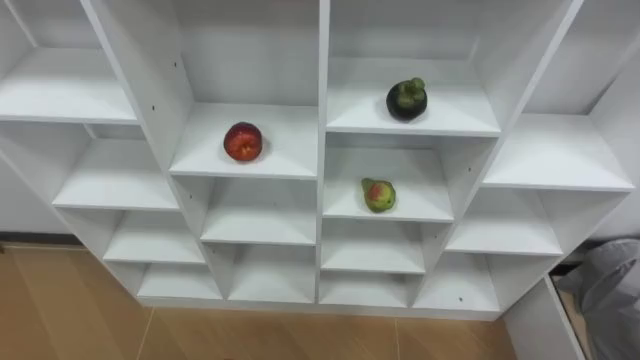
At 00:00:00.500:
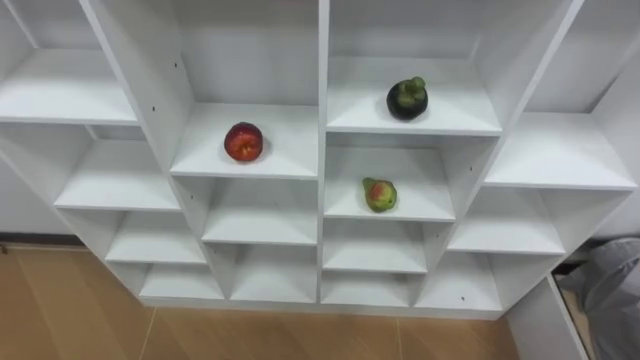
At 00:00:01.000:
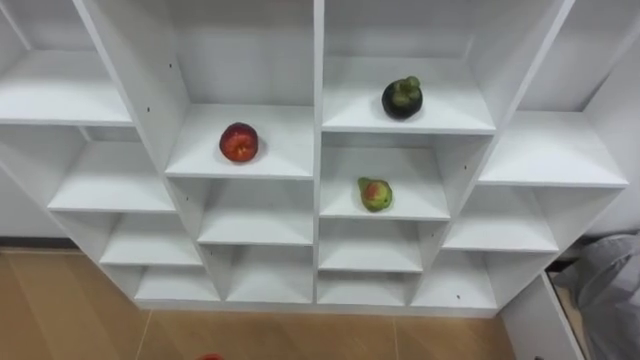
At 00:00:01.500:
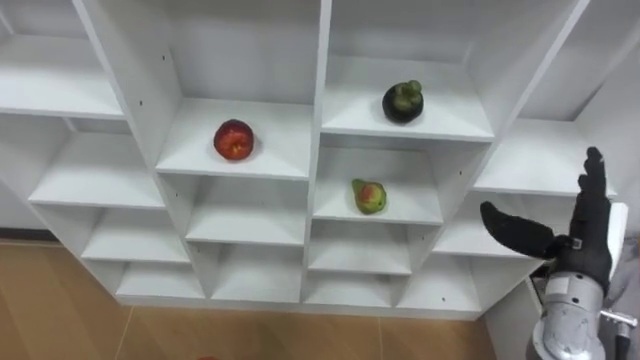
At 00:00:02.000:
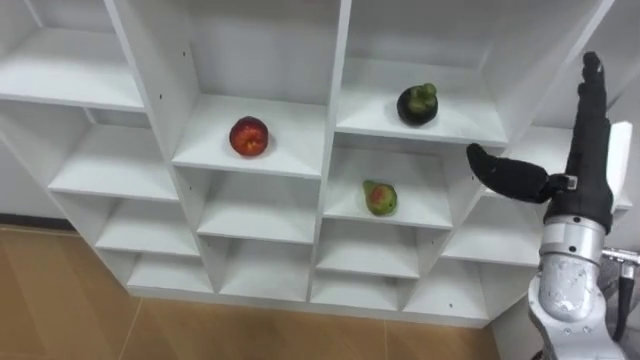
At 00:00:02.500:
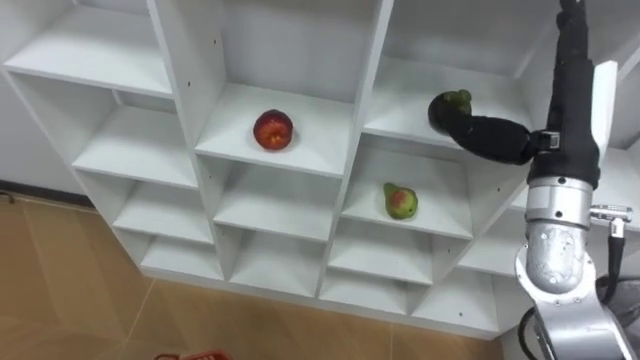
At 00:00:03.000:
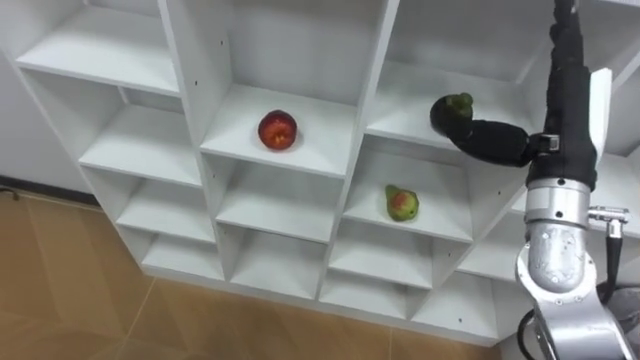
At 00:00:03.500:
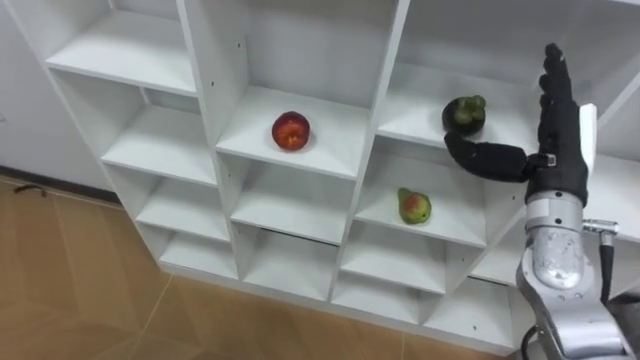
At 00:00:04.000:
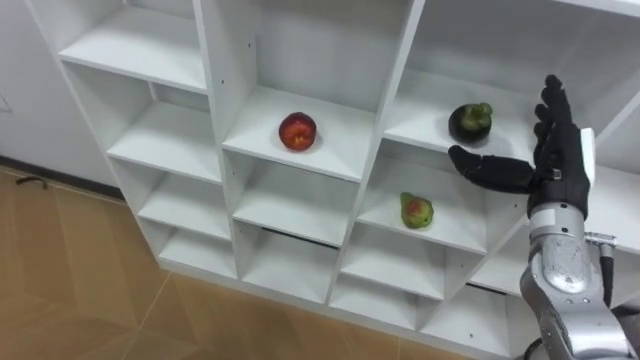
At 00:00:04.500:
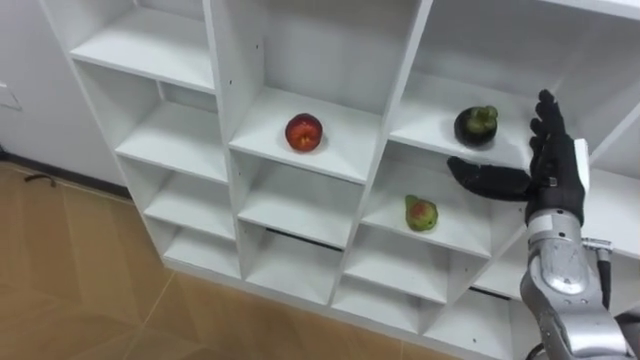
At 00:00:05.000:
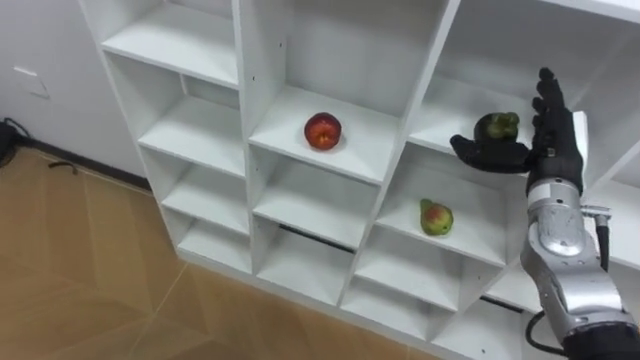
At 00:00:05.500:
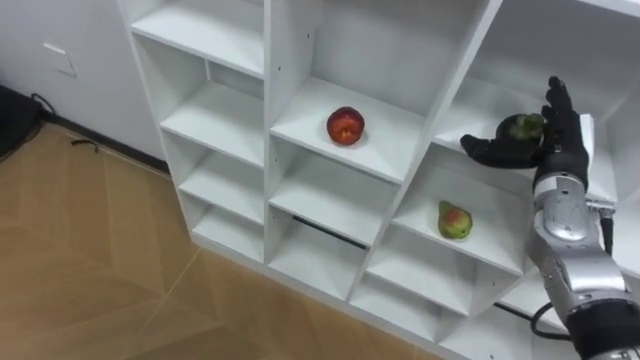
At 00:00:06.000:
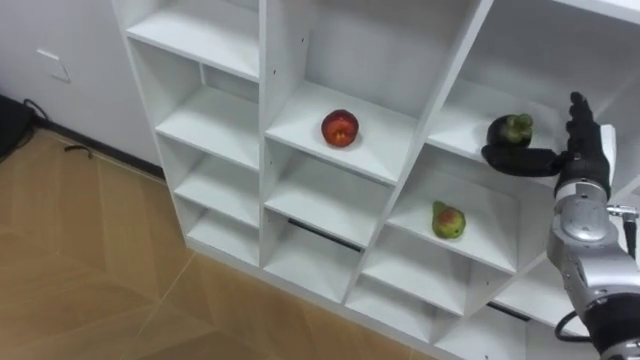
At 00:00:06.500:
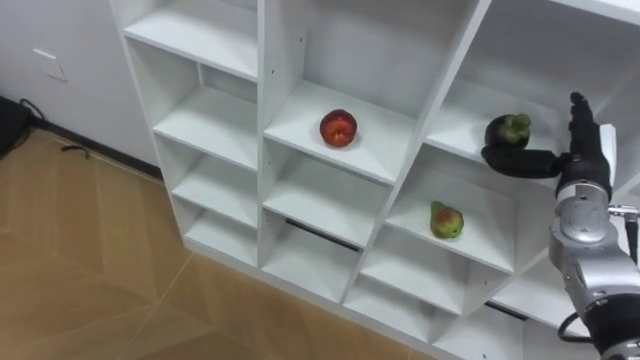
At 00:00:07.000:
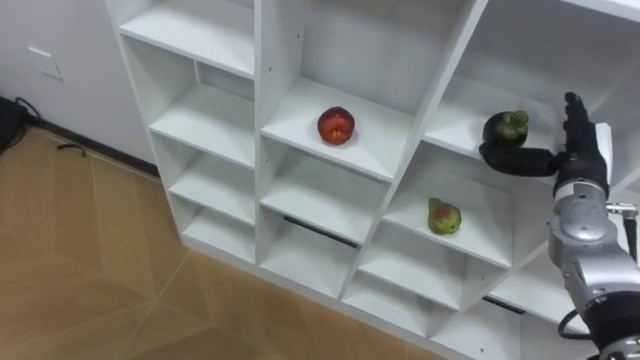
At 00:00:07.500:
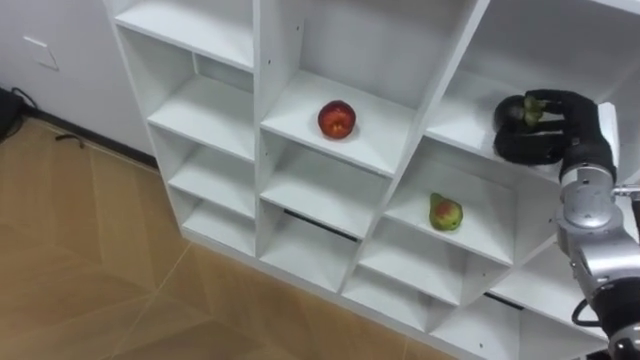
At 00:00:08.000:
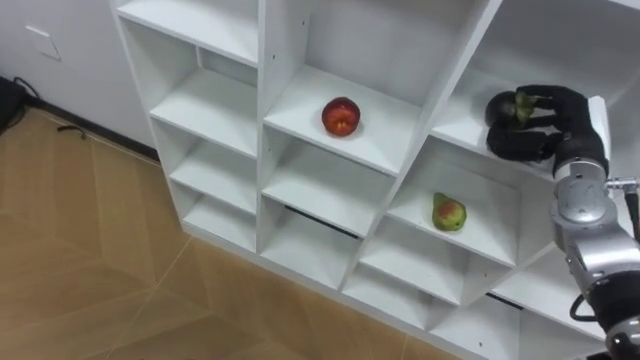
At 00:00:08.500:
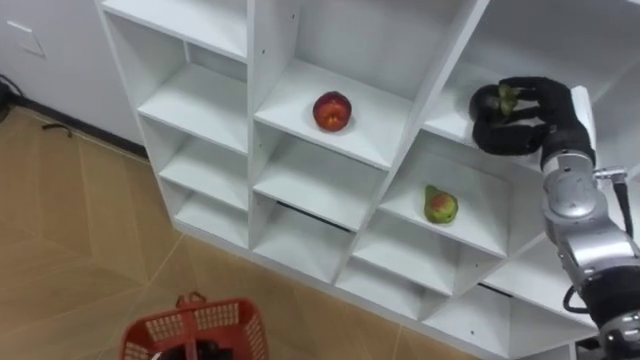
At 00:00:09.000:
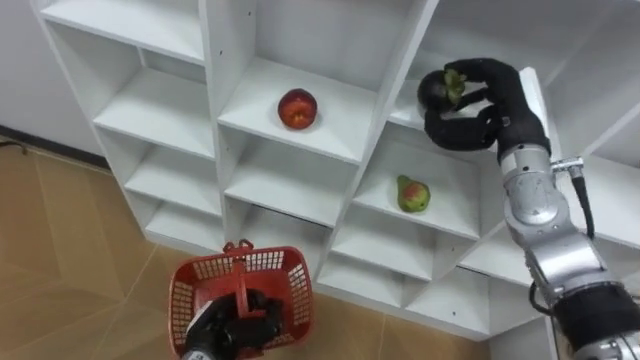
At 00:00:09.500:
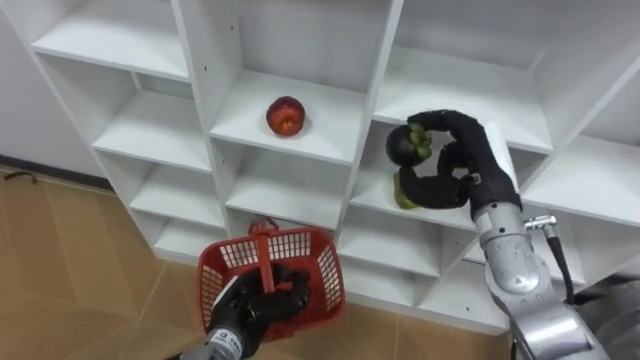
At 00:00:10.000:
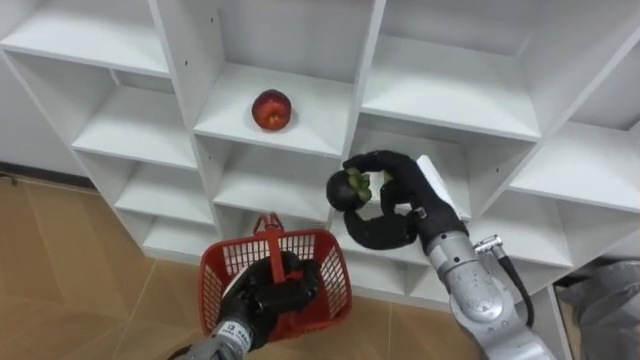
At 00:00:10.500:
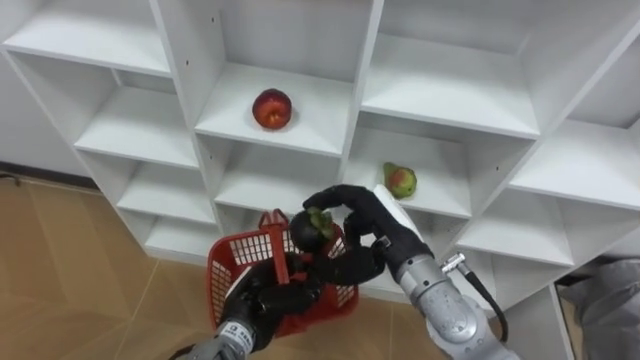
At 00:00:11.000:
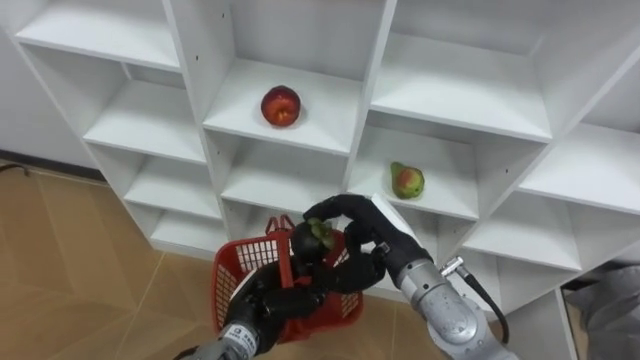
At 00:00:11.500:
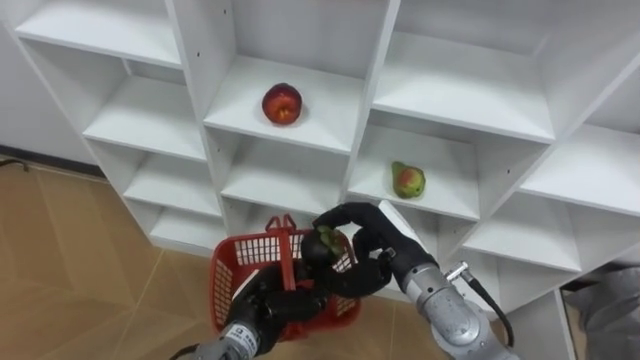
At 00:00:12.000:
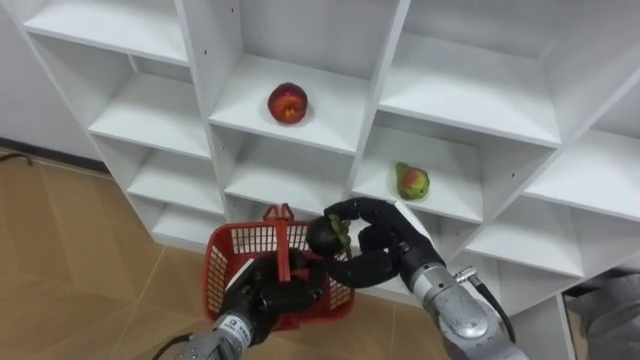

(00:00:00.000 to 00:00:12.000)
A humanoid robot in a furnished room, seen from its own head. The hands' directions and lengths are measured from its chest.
Task of the whole recording: Hold the basket and collect the fruits from 3 different cells of the closet into it.
00:00:04.000 - 00:00:06.000: The right hand shifts some 5 cm to the right.
00:00:06.000 - 00:00:08.000: The right hand closes.
00:00:08.000 - 00:00:10.000: The right hand moves to the left and backward, roughly 20 cm.
00:00:10.000 - 00:00:12.000: The right hand is displaced downward by roughly 5 cm.

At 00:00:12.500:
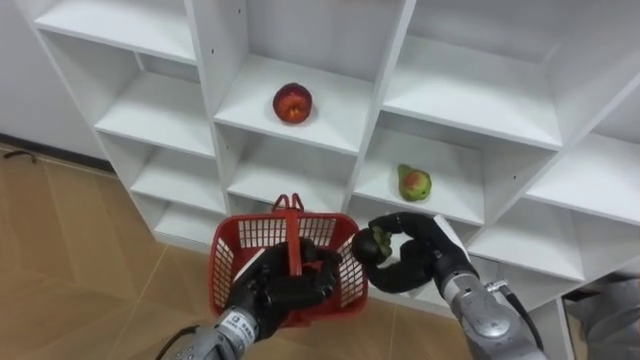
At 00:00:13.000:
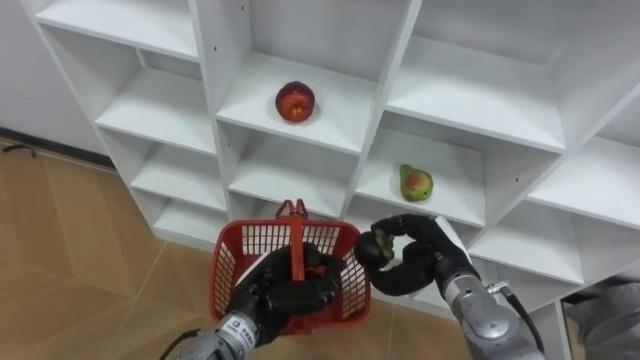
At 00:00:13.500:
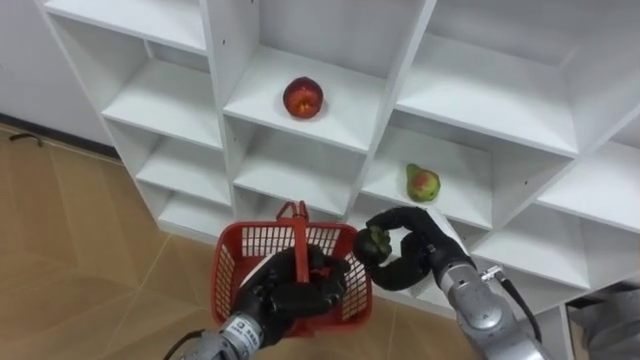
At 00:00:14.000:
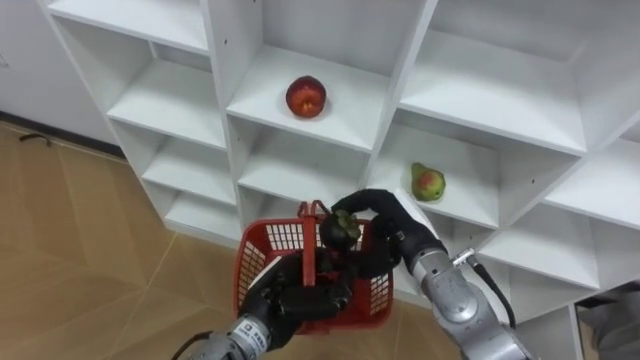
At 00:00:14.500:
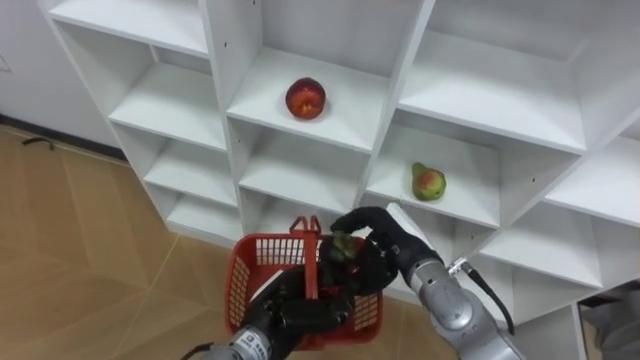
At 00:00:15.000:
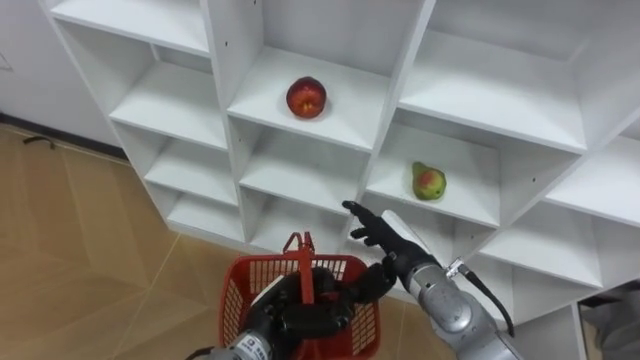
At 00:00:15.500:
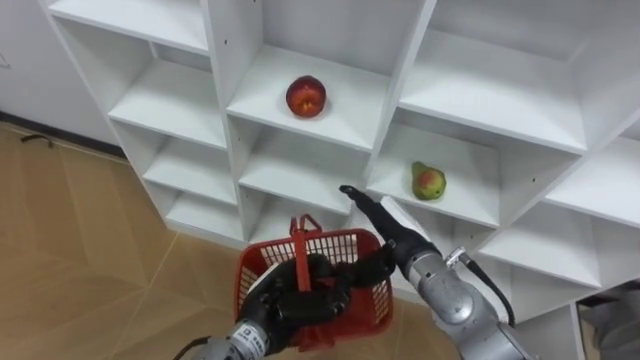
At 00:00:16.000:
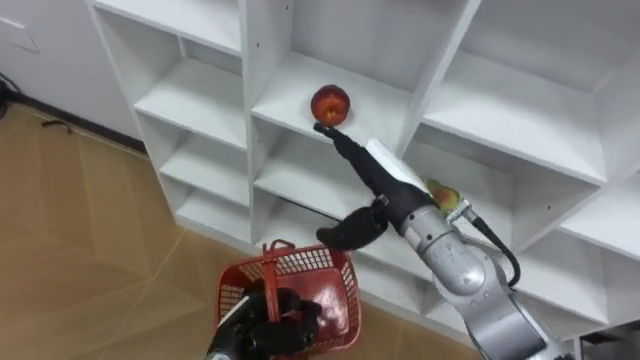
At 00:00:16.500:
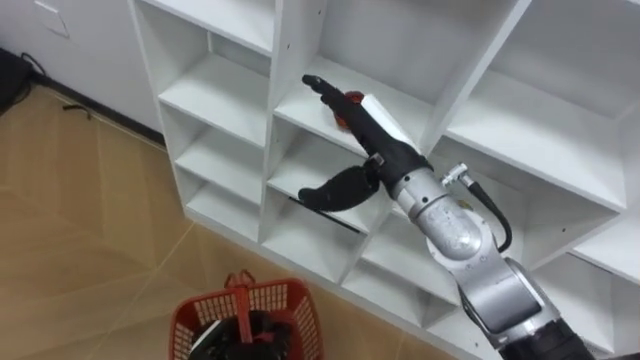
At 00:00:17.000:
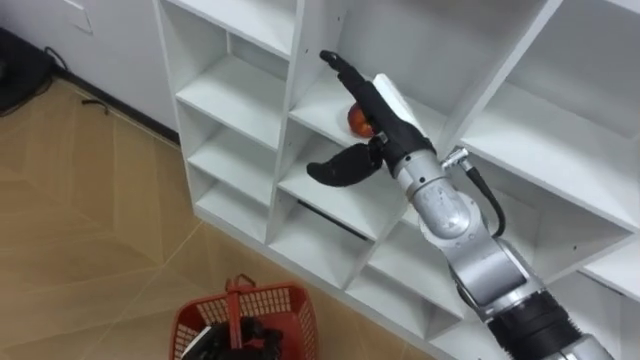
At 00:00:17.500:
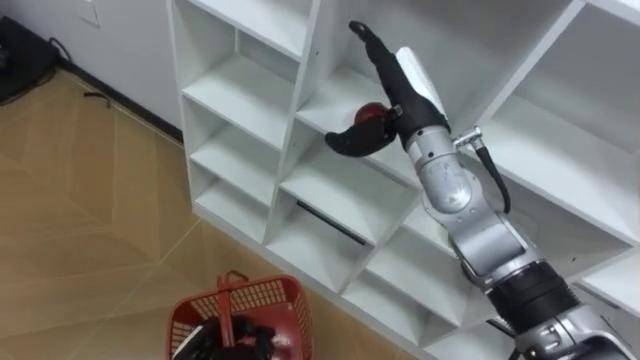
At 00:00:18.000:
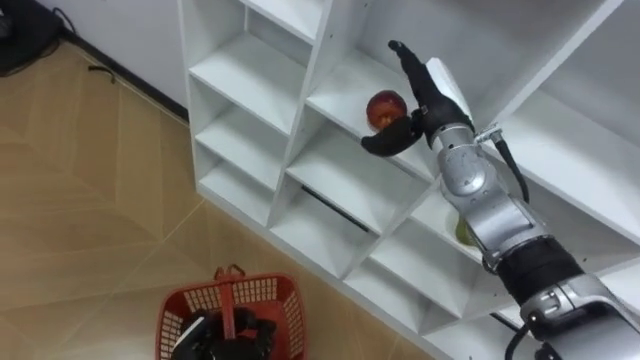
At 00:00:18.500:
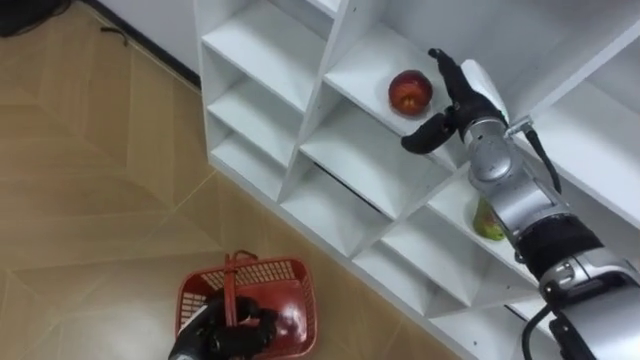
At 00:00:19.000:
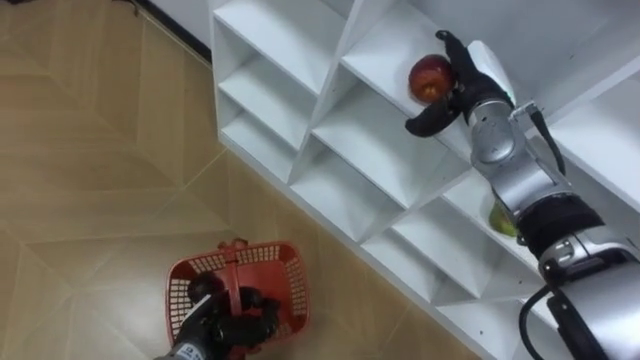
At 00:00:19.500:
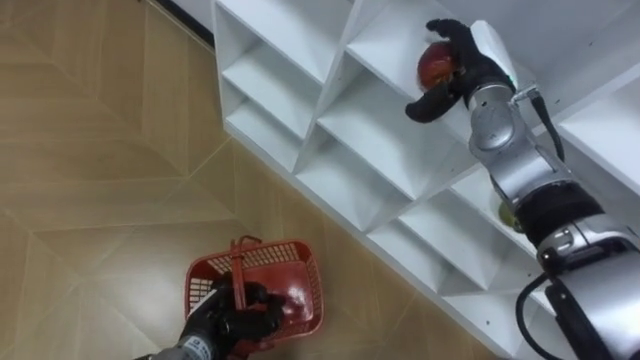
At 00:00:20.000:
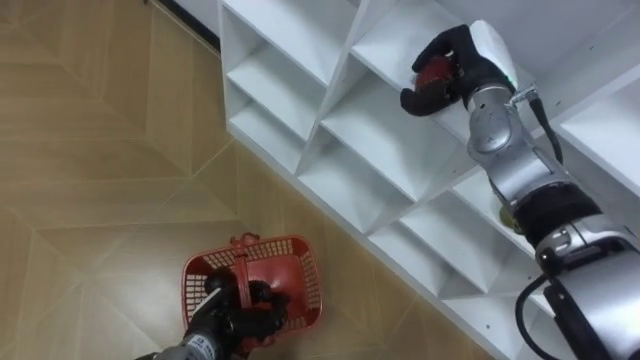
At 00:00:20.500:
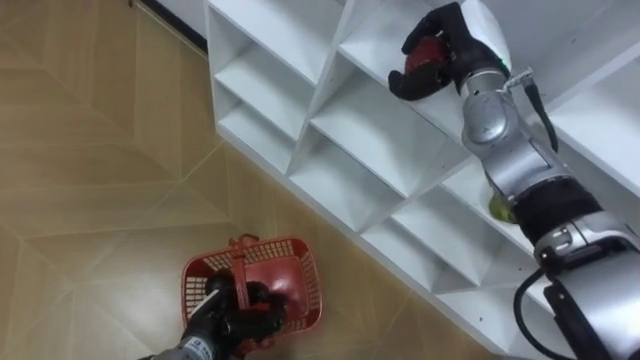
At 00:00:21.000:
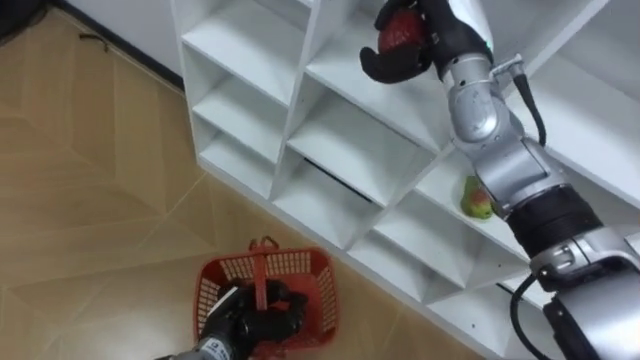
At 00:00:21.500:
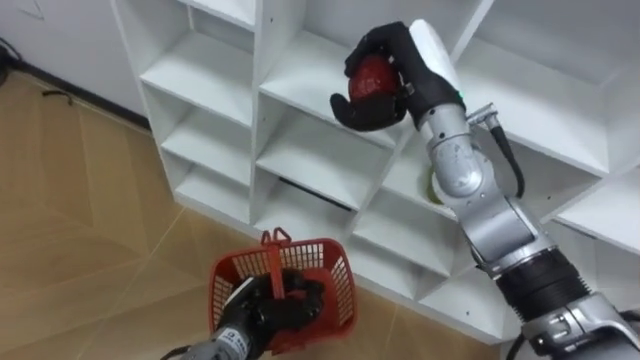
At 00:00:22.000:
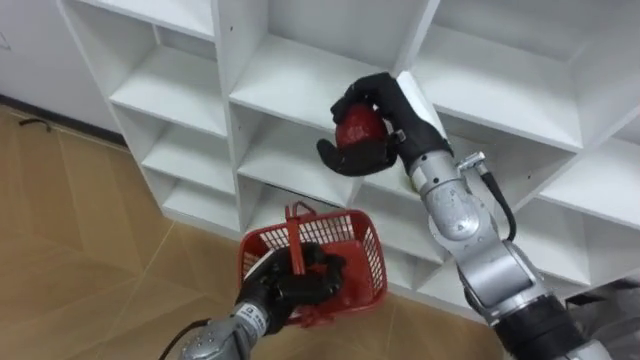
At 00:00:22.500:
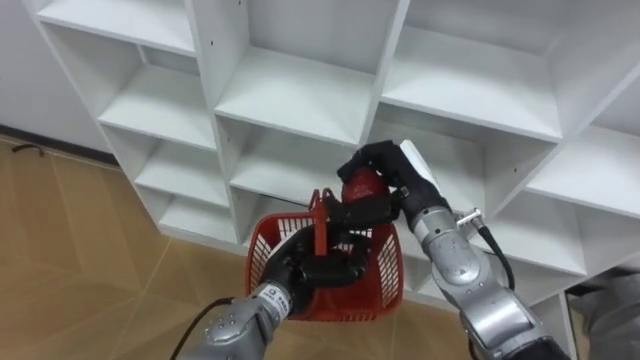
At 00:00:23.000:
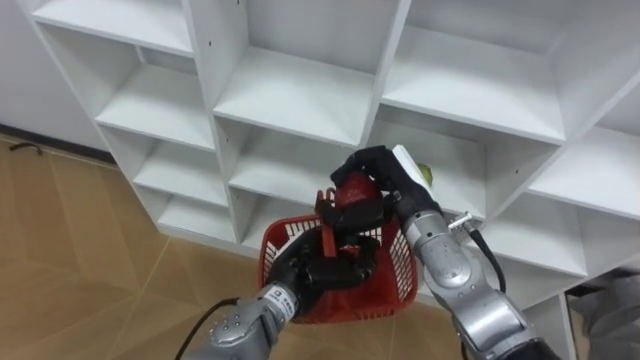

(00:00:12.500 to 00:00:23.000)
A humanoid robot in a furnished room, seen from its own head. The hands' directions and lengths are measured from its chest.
Task of the whole recording: Hold the basket and collect the fruits from 3 different cells of the closet into it.
00:00:12.500 - 00:00:14.500: The right hand moves to the left, some 5 cm.
00:00:14.500 - 00:00:16.500: The right hand shifts some 15 cm upward, and opens; the left hand shifts roughly 10 cm to the left and downward.
00:00:16.500 - 00:00:19.000: The right hand goes about 15 cm to the right and forward.
00:00:19.000 - 00:00:21.000: The right hand moves upward and to the left, roughly 10 cm, and closes.
00:00:21.000 - 00:00:23.000: The left hand travels to the right, upward and forward by about 15 cm. Meanwhile the right hand travels downward and backward by about 20 cm.
